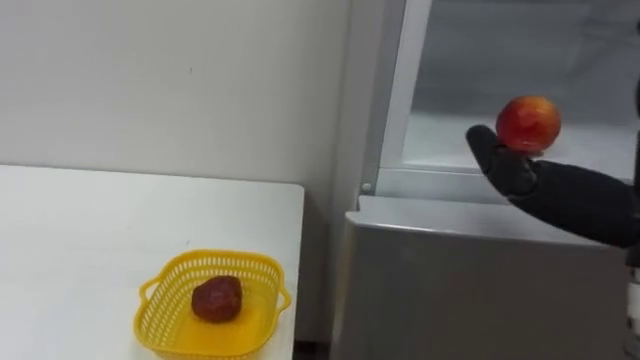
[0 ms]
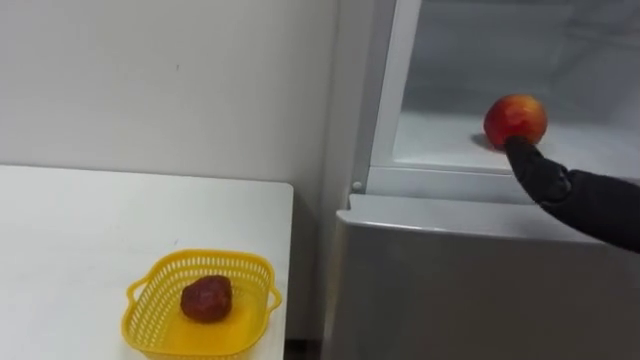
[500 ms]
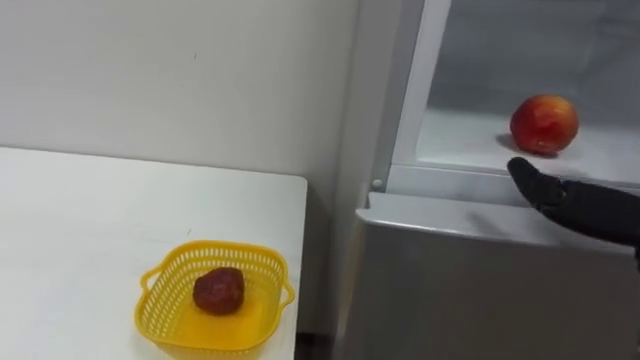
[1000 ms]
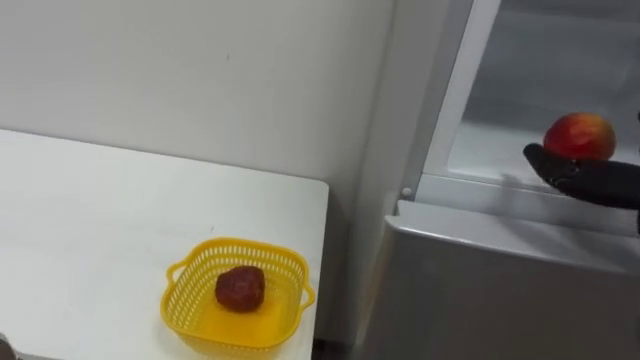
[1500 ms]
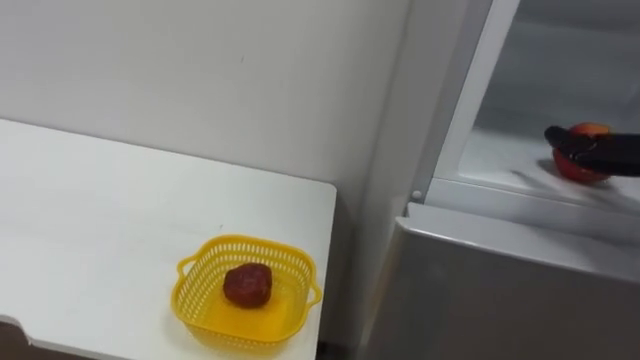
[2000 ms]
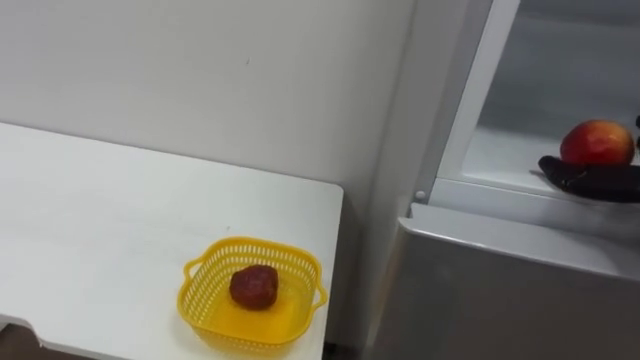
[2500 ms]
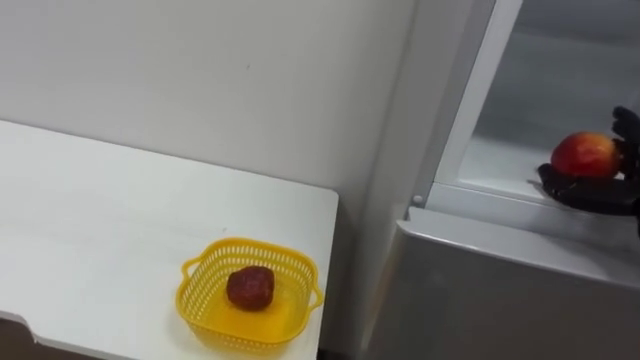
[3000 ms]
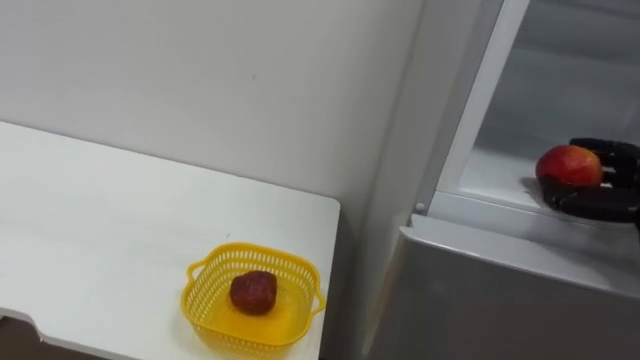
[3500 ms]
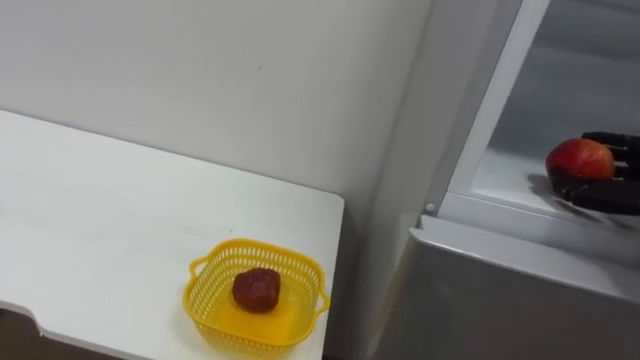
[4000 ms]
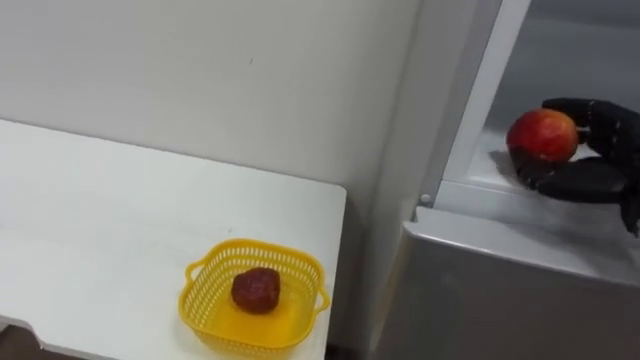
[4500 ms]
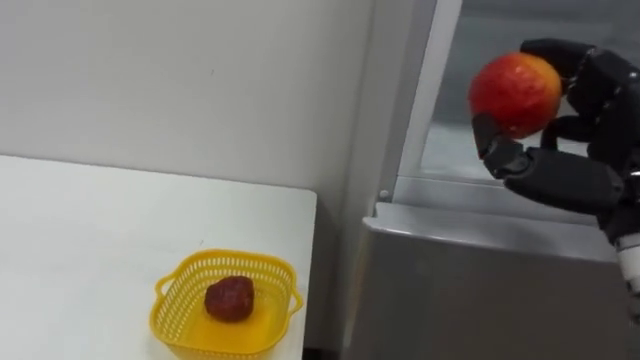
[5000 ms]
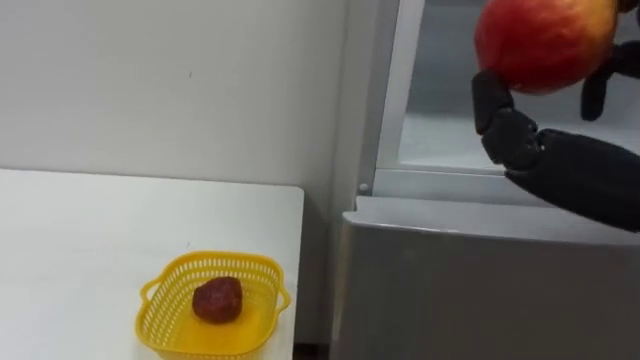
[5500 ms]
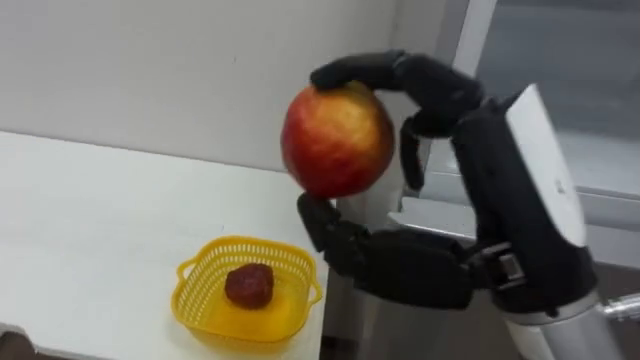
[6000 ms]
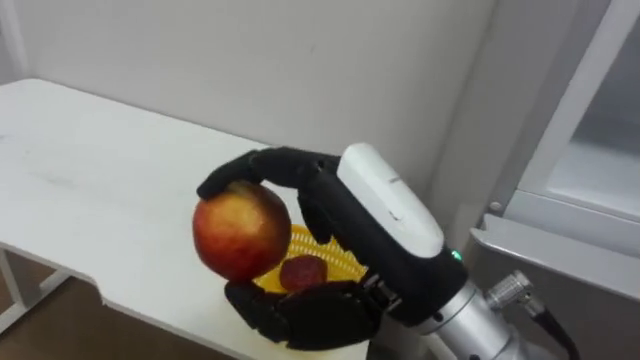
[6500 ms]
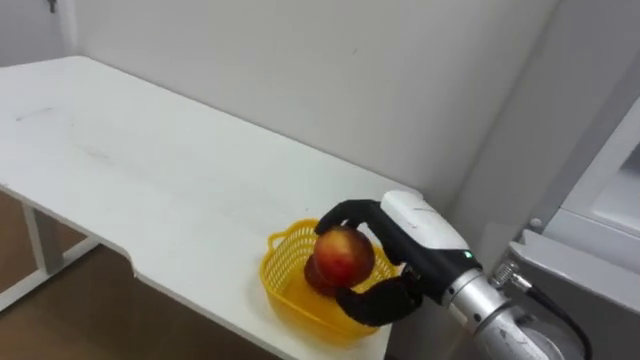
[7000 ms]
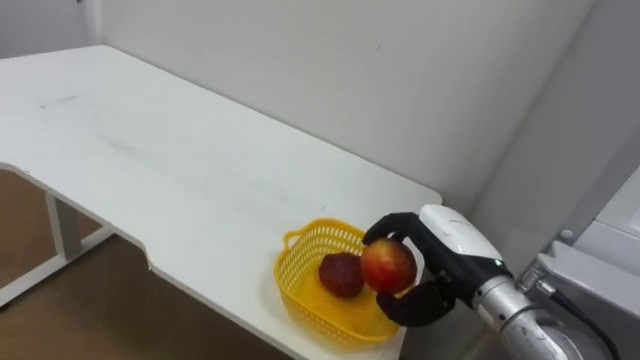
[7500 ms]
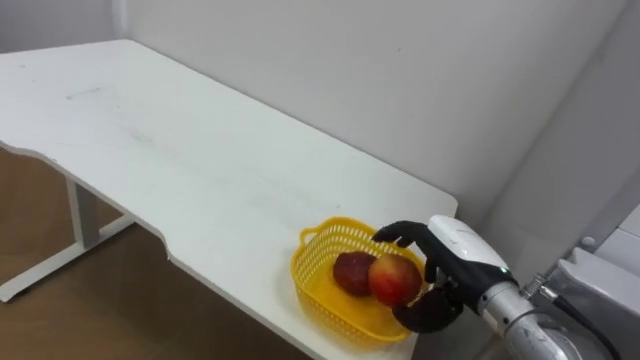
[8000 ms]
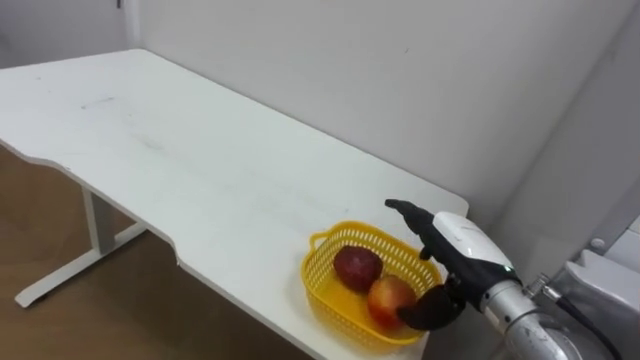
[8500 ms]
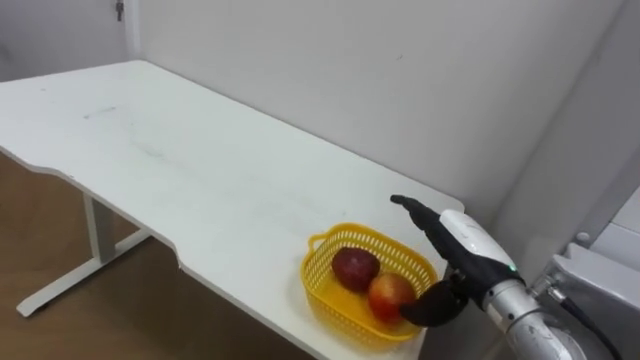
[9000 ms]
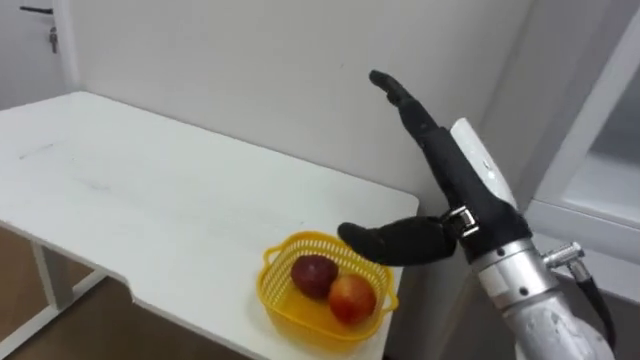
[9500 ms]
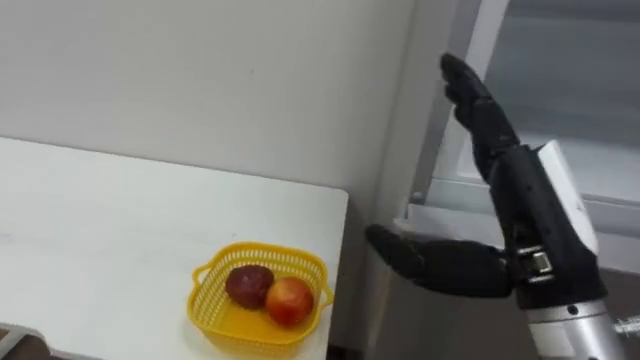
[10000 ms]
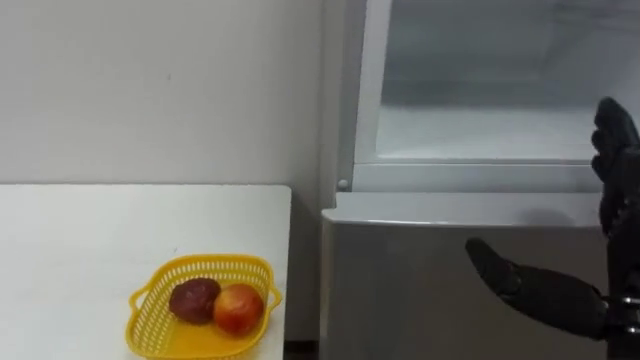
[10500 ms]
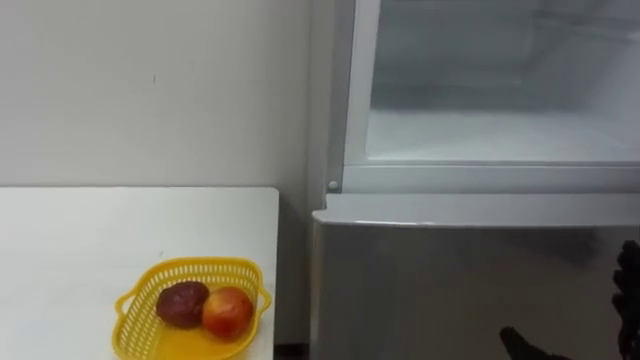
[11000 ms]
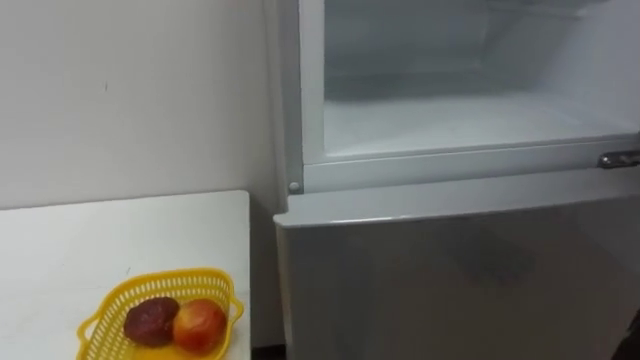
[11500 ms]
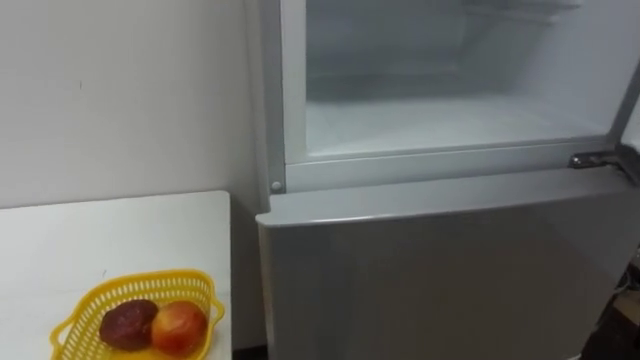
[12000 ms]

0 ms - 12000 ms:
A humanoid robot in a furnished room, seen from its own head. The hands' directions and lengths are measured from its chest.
Task of the whole recording: Open the refrigerator door, take out the apple and the pomegranate, place them in the fruit basket on the left, and close the refrigerator door.
6000 ms - 8000 ms: The right hand is displaced downward and forward by roughly 25 cm.
8000 ms - 10000 ms: The right hand goes roughly 15 cm upward and backward, and opens.

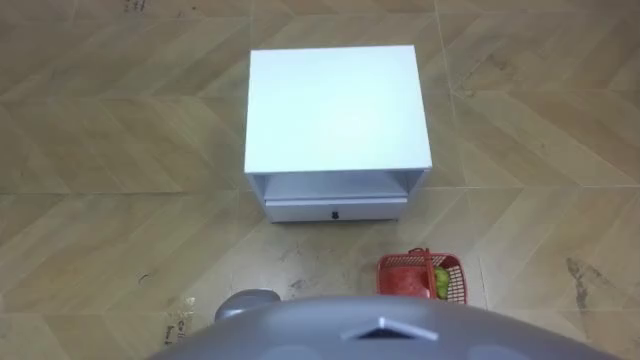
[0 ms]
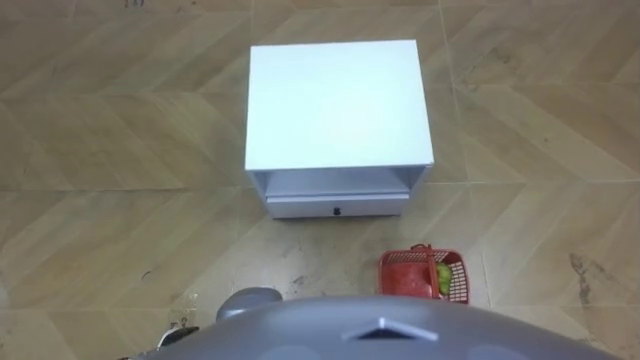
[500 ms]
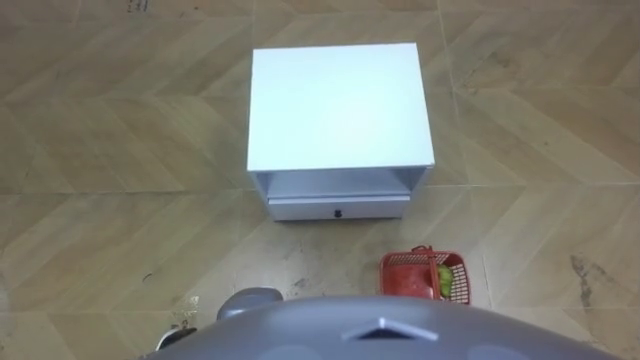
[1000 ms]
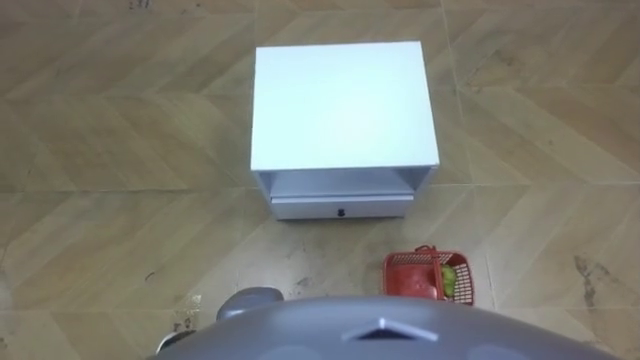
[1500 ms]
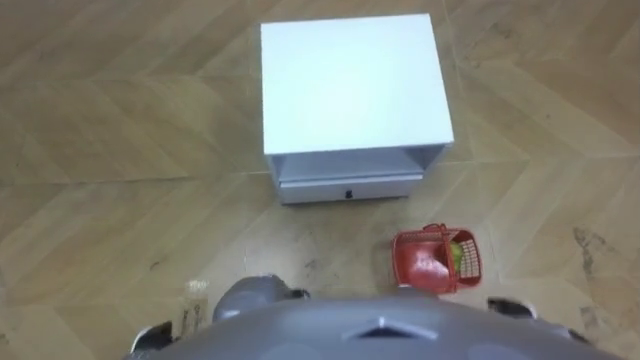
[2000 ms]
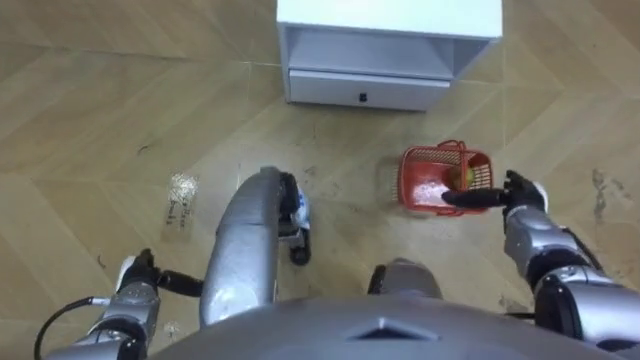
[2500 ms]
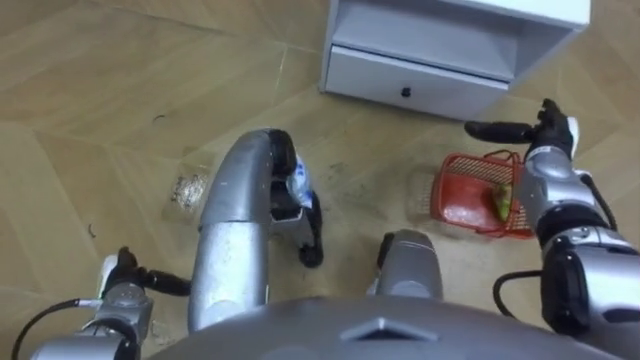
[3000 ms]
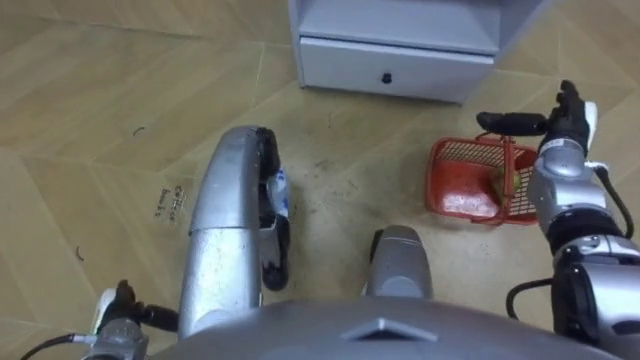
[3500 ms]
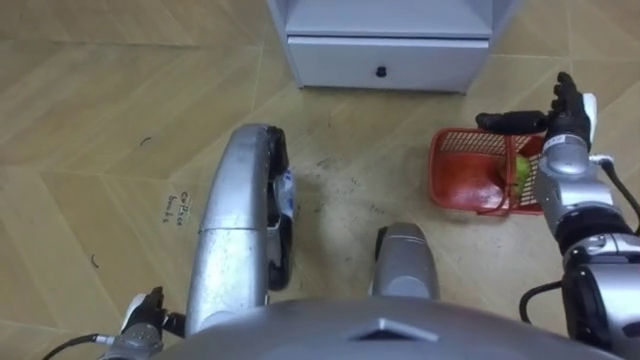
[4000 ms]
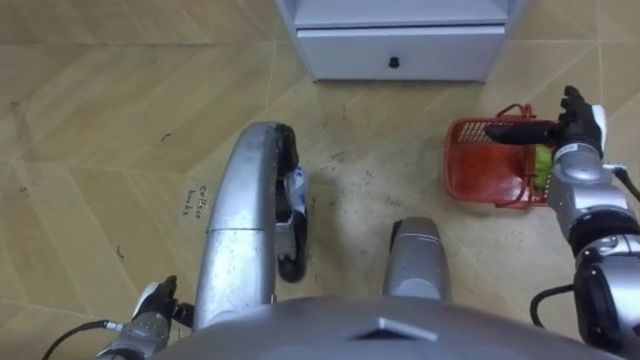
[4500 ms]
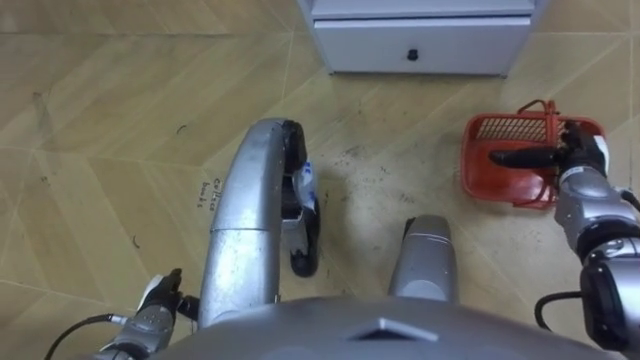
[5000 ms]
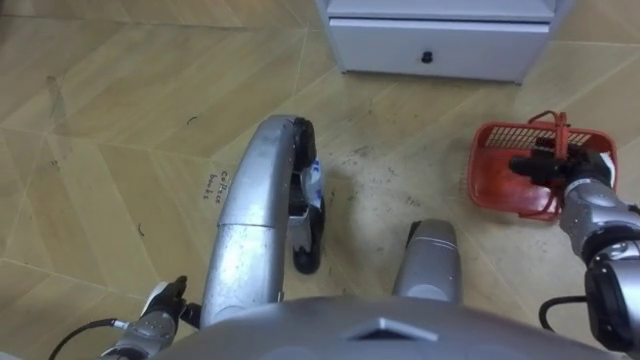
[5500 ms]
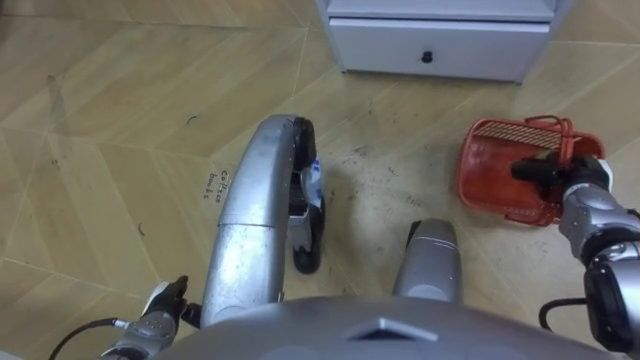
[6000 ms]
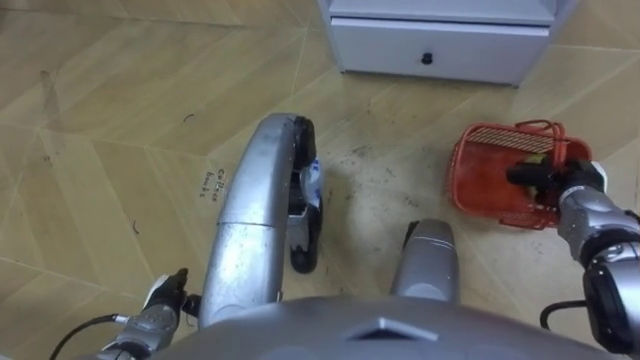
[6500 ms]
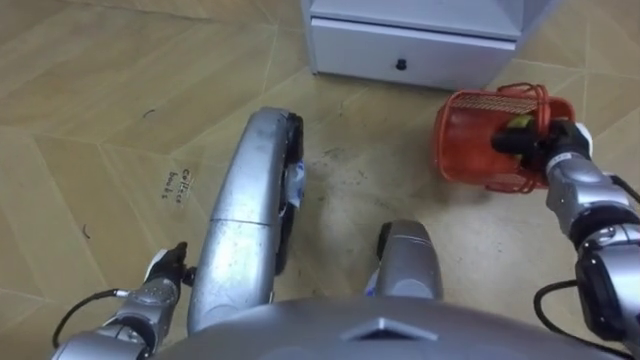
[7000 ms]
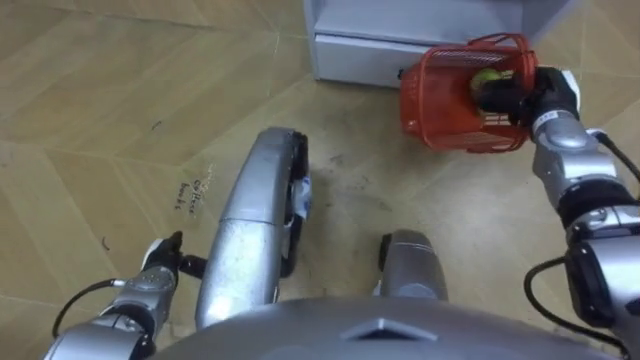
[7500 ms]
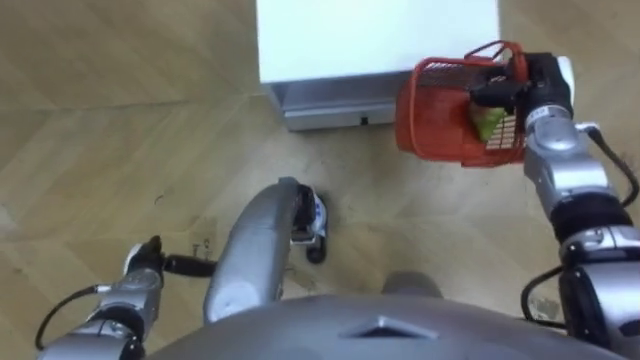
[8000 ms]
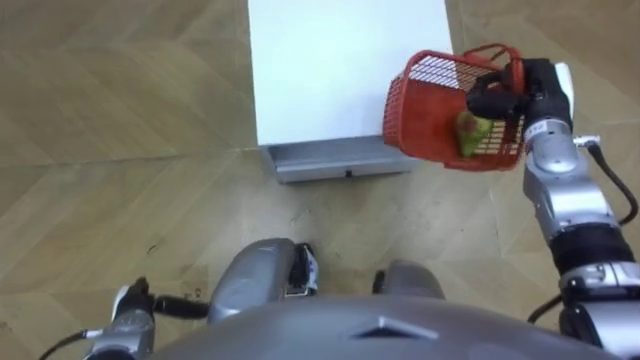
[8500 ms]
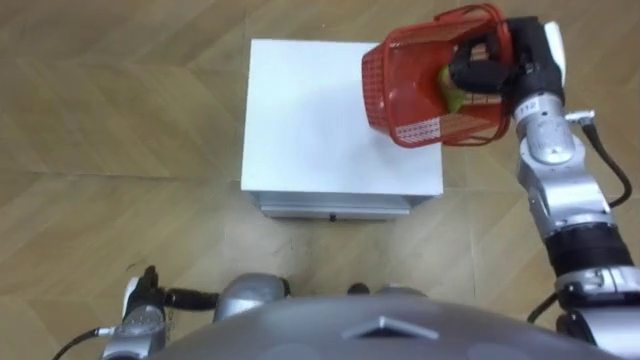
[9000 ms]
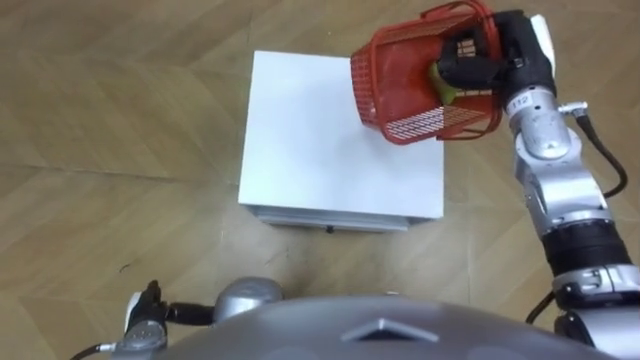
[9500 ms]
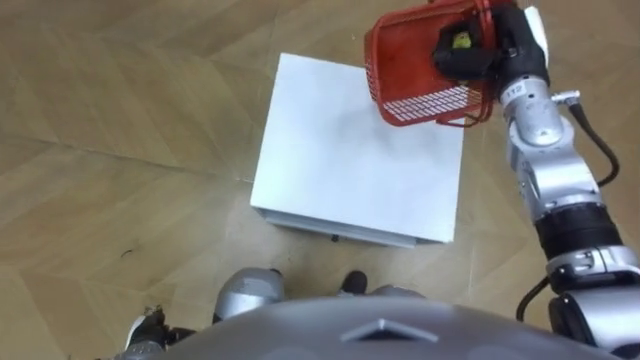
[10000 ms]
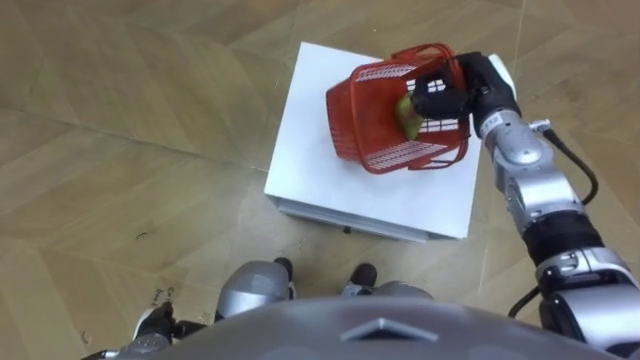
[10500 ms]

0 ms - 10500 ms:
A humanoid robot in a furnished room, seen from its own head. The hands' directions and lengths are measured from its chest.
Task of the whole recording: Pick up the fruit basket from the floor and place it on the cabinet.
2000 ms - 4000 ms: The right hand moves forward and upward, approximately 30 cm.
4000 ms - 6500 ms: The right hand travels backward and downward by approximately 10 cm, and closes its fingers.
6500 ms - 8500 ms: The robot faces approximately 20 degrees further to its right. The right hand goes about 15 cm upward, forward and to the left; the left hand goes forward and returns, approximately 5 cm each way.
8500 ms - 10500 ms: The right hand travels to the left by roughly 5 cm.
